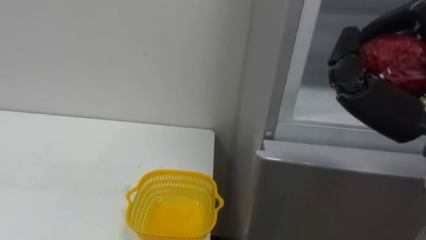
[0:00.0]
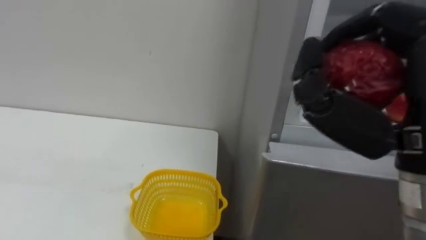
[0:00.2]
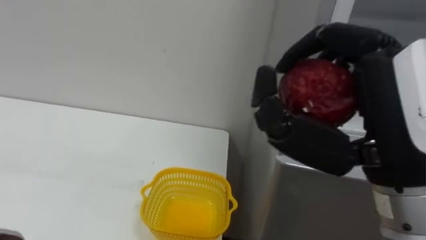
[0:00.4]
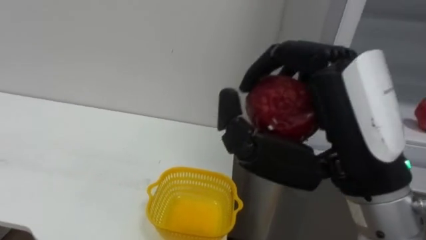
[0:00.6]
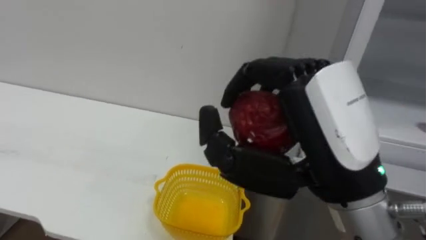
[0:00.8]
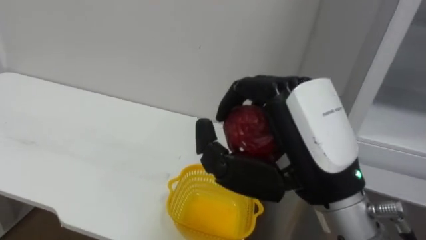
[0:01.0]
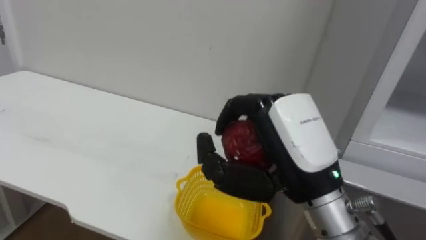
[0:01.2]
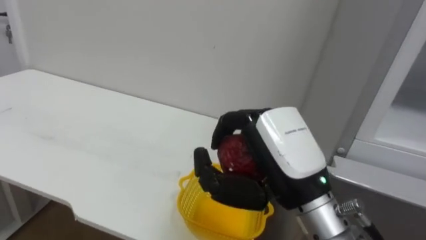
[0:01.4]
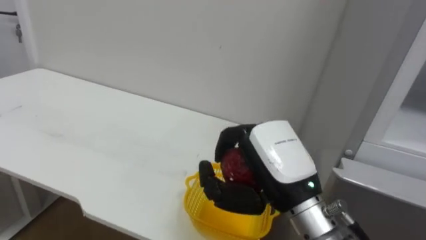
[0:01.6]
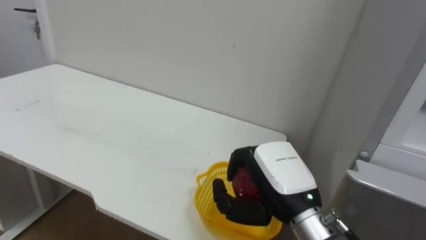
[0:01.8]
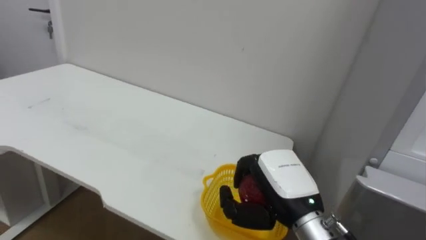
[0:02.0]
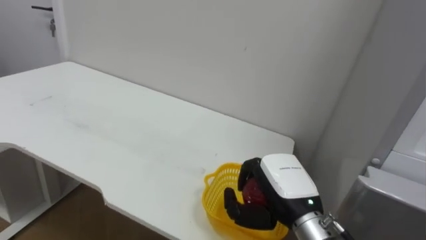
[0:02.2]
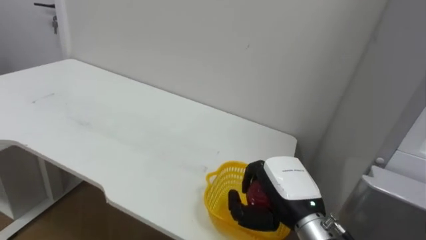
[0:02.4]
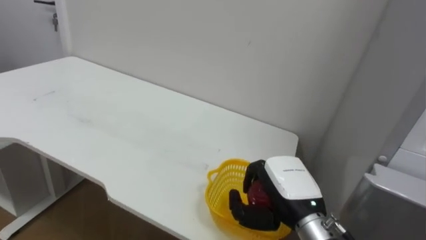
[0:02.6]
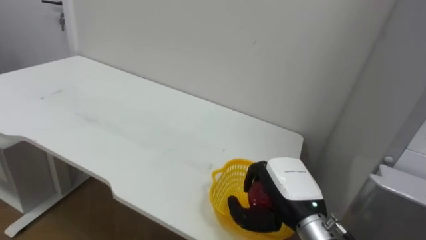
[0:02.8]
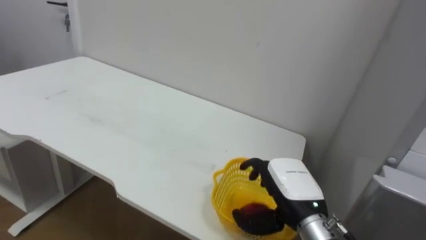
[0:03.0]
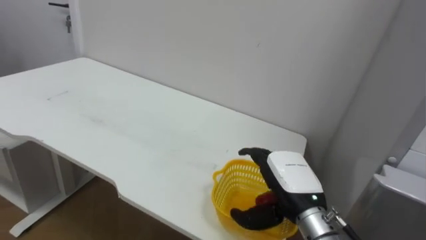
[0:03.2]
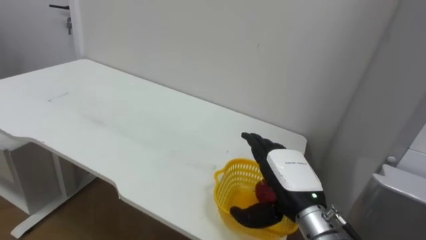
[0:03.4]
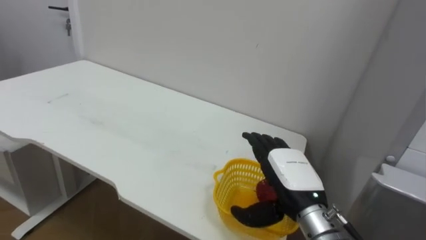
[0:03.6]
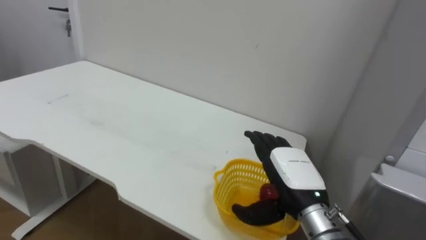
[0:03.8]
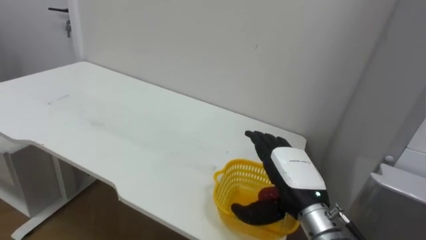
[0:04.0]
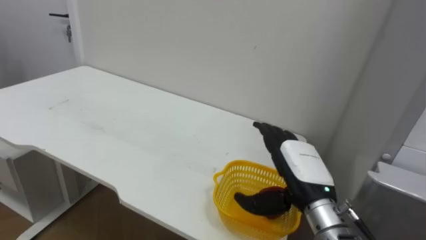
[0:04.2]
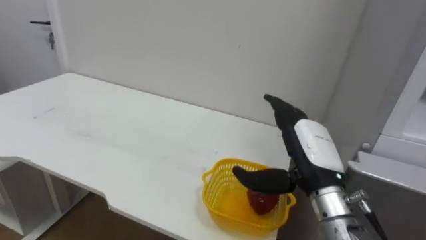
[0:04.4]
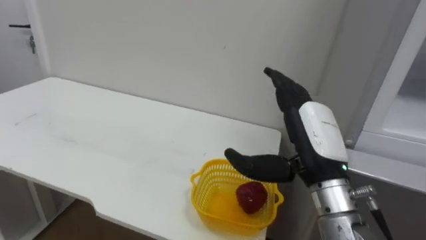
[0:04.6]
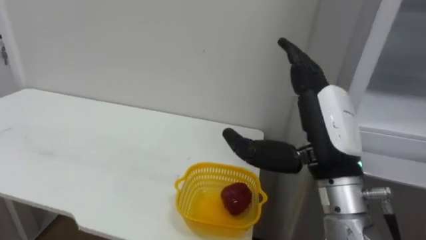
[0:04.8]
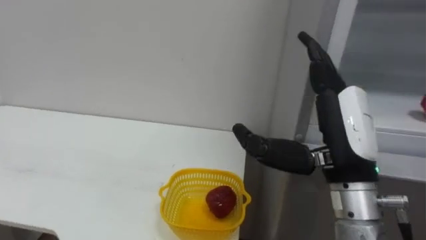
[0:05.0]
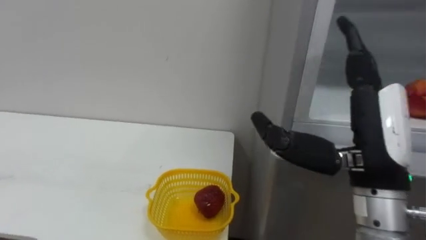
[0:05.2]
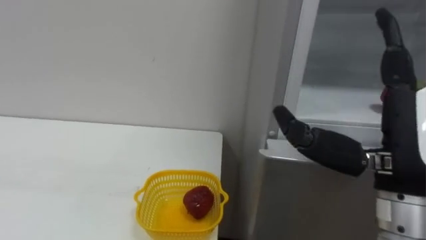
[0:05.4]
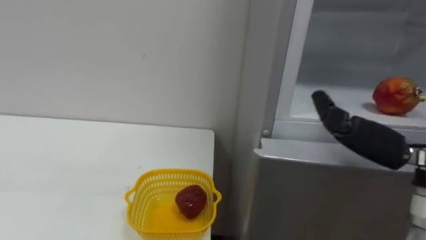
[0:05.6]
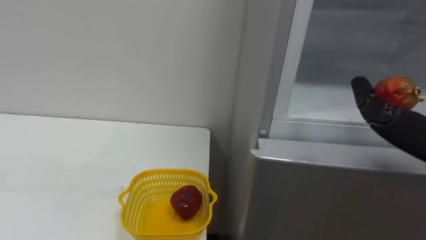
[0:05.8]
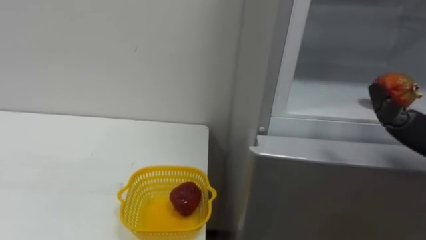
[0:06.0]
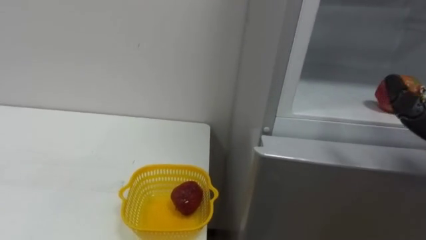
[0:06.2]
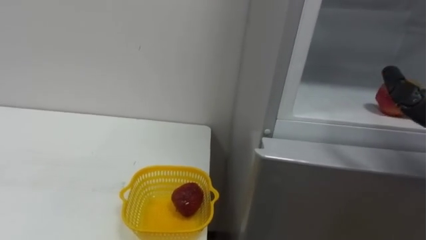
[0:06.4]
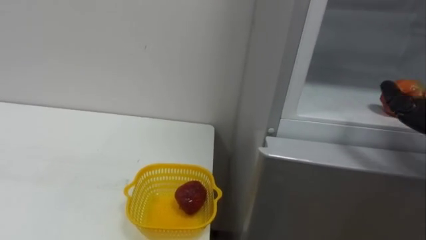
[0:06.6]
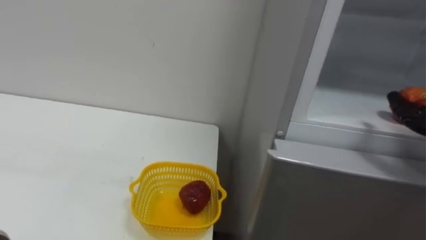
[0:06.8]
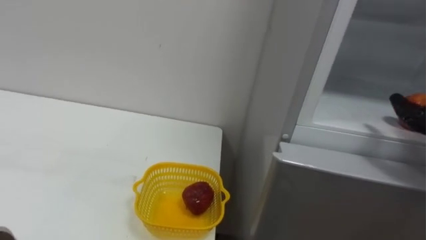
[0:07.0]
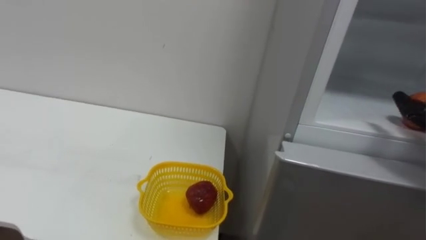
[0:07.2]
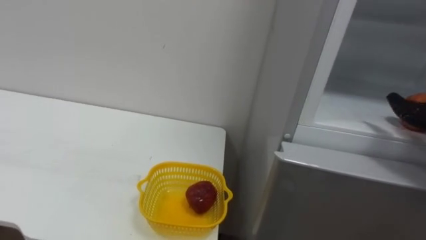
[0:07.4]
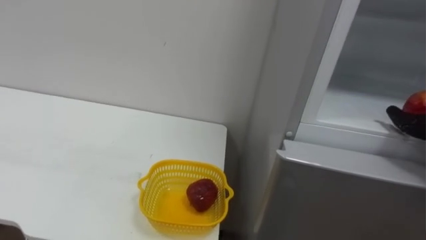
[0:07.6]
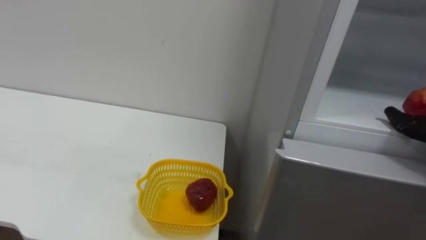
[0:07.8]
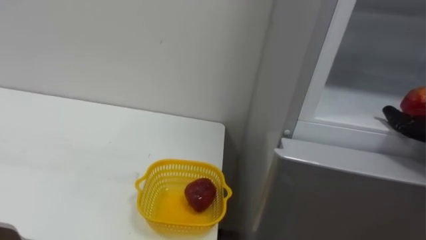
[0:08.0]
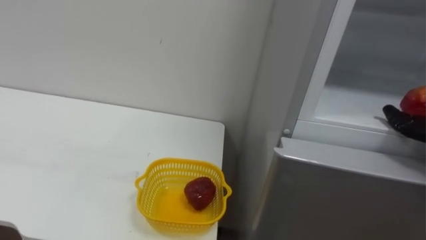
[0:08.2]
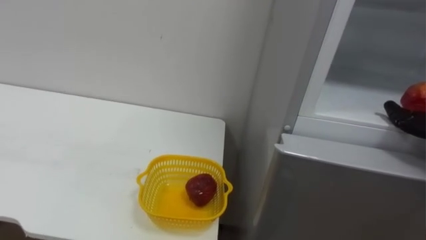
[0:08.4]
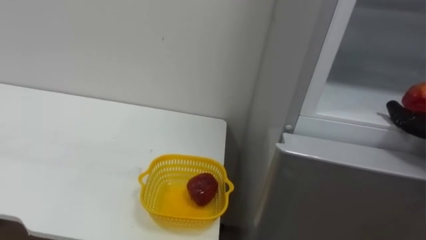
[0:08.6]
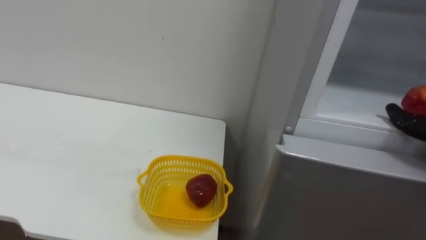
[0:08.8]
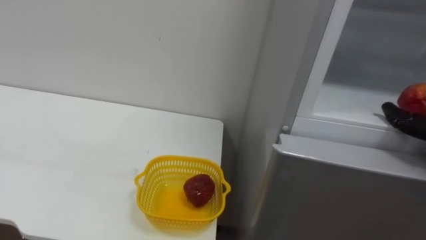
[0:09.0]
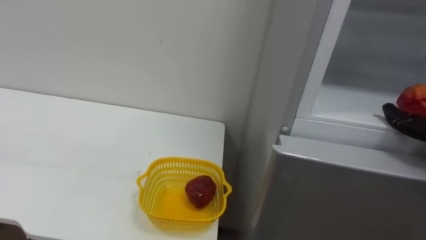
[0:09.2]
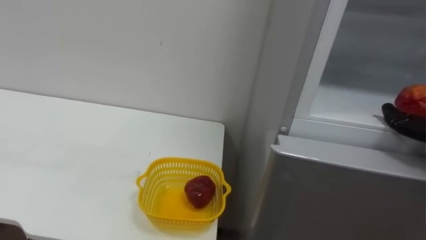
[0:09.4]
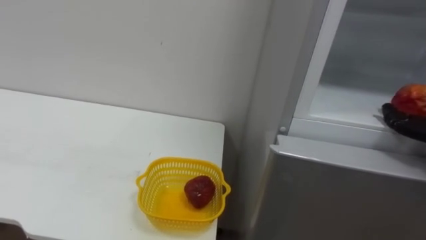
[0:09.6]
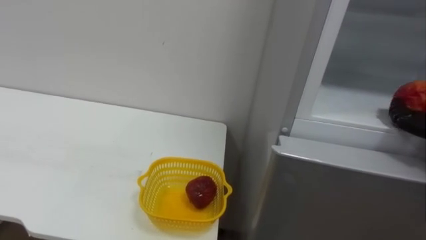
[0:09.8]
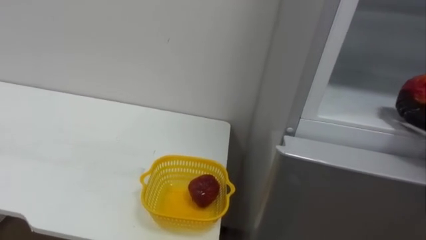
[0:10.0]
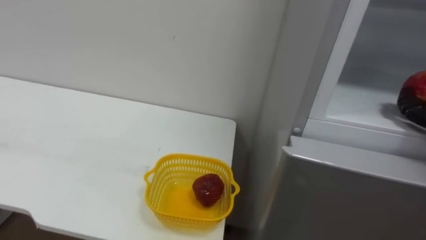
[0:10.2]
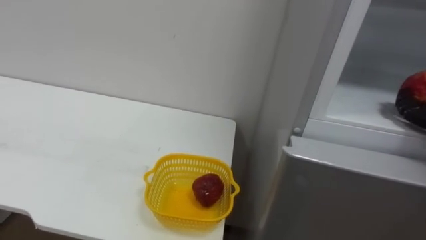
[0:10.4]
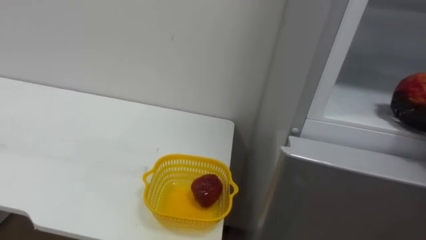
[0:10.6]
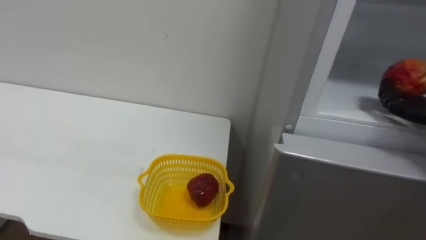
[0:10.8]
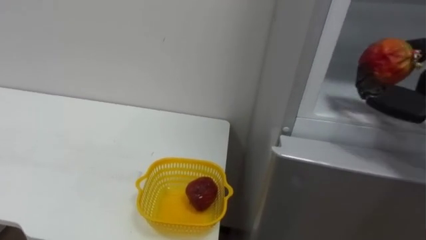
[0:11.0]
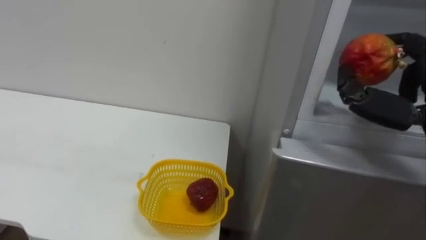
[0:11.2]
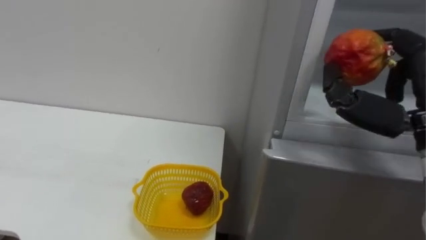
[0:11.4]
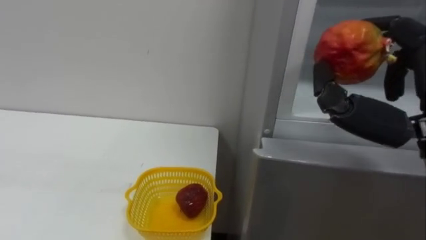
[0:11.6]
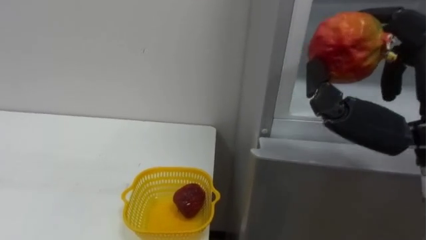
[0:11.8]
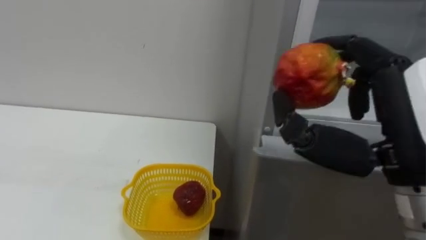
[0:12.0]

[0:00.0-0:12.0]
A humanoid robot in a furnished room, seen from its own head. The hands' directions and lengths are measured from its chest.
Task of the whole recording: Open the refrigerator door, take out the apple and the pomegranate, place them in the fruit basket on the left, and close the refrigerator door.
0:01.6 to 0:03.0: The right hand is displaced downward by roughly 10 cm, and opens up.
0:03.0 to 0:04.4: The right hand travels upward by roughly 5 cm, and opens its fingers.

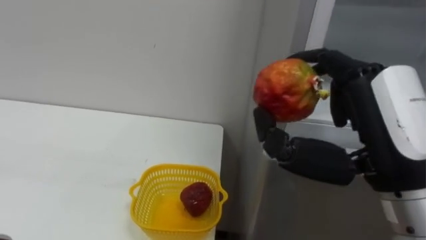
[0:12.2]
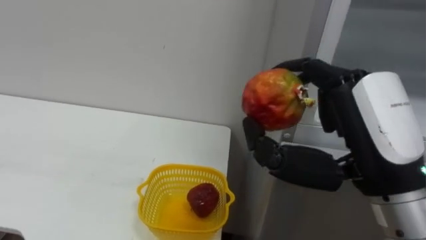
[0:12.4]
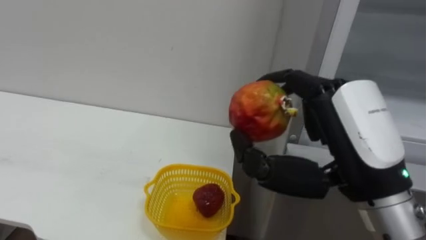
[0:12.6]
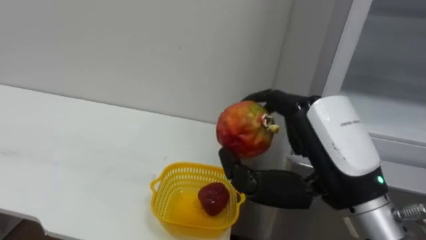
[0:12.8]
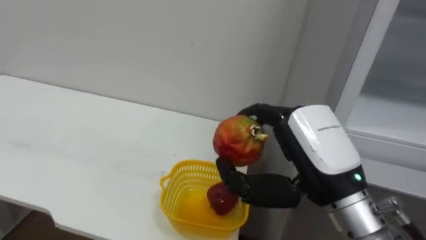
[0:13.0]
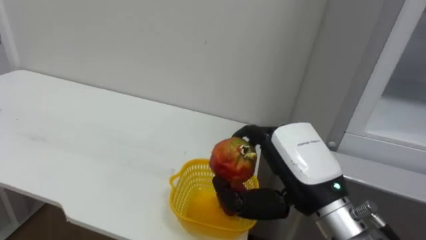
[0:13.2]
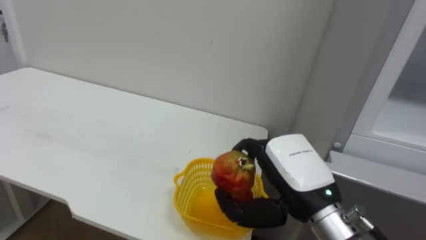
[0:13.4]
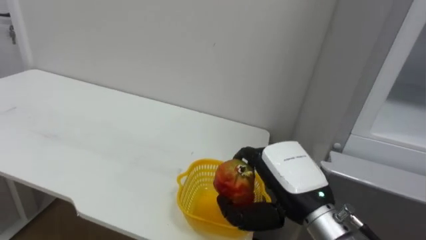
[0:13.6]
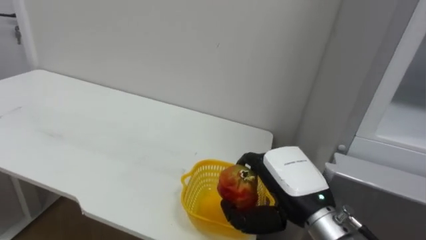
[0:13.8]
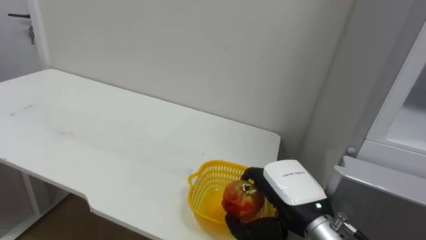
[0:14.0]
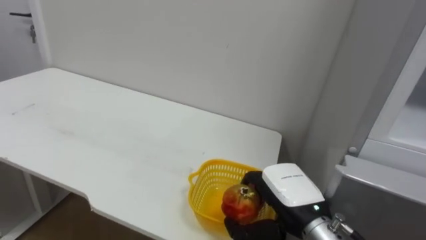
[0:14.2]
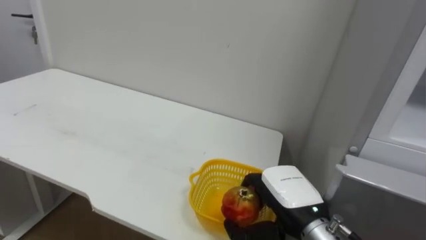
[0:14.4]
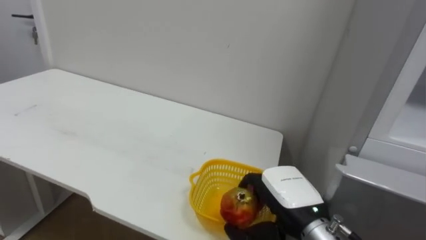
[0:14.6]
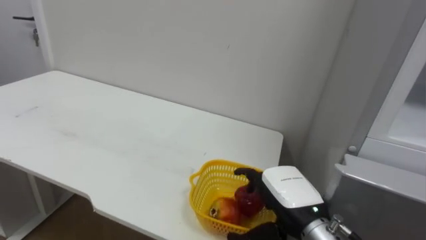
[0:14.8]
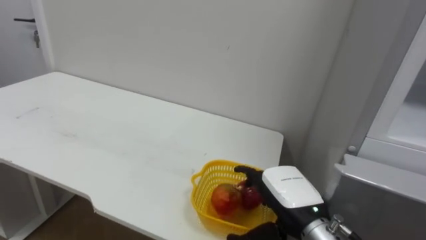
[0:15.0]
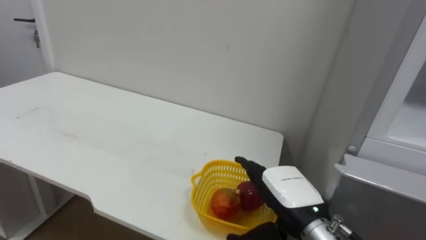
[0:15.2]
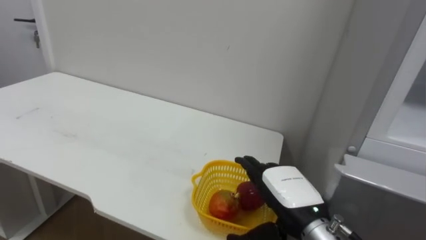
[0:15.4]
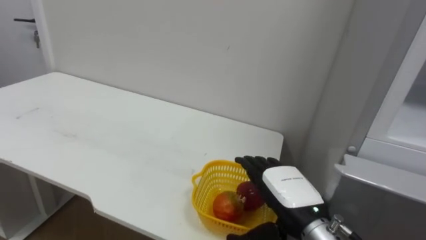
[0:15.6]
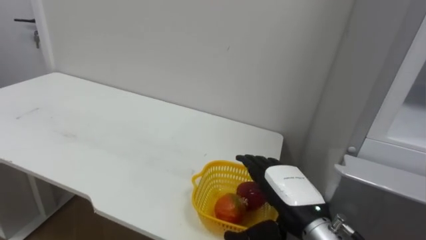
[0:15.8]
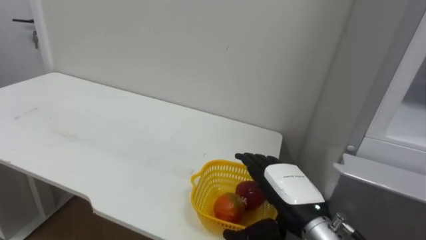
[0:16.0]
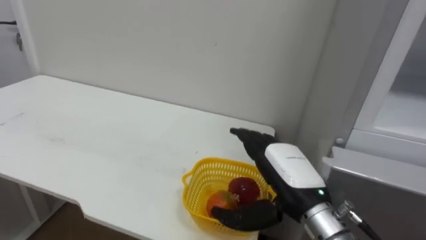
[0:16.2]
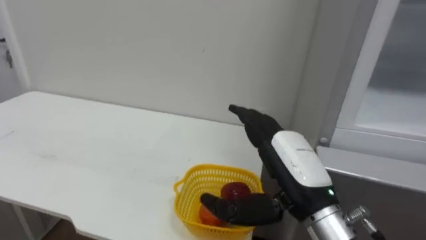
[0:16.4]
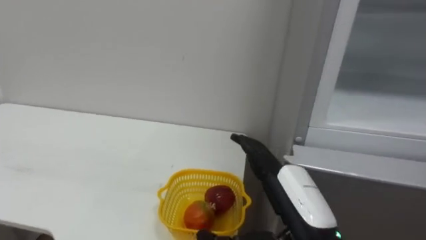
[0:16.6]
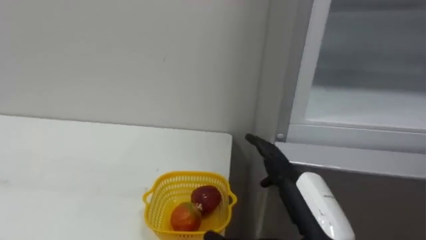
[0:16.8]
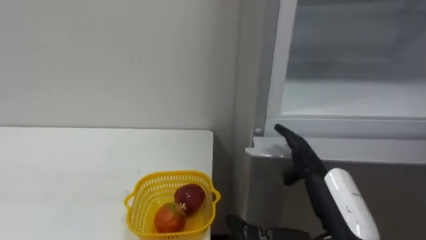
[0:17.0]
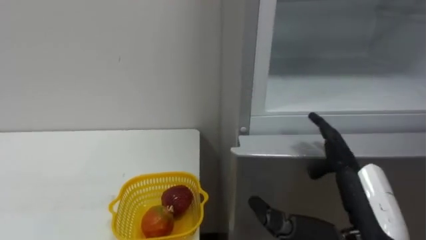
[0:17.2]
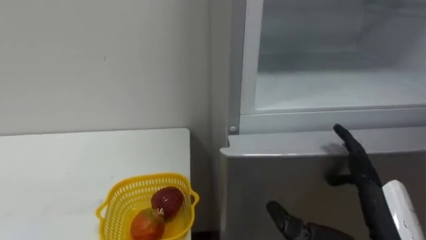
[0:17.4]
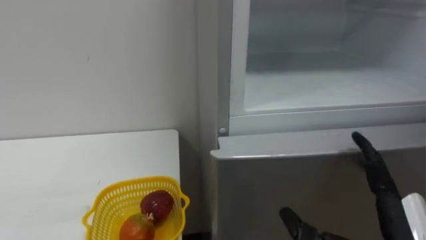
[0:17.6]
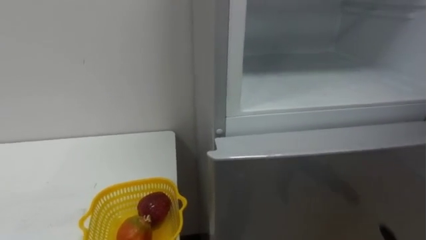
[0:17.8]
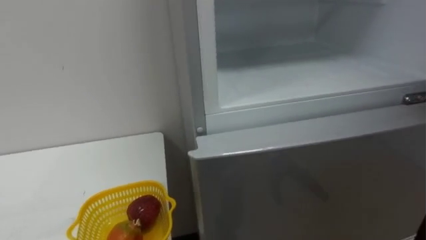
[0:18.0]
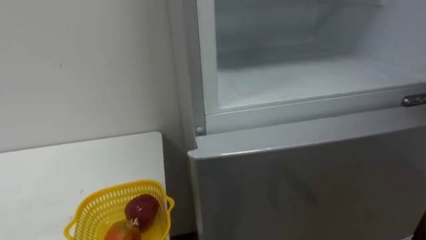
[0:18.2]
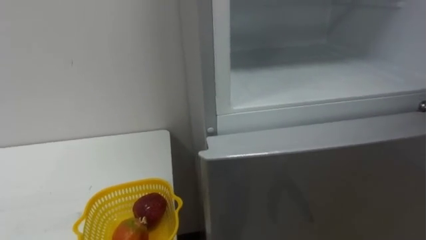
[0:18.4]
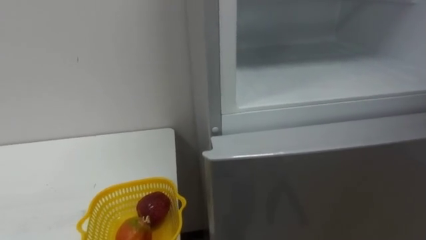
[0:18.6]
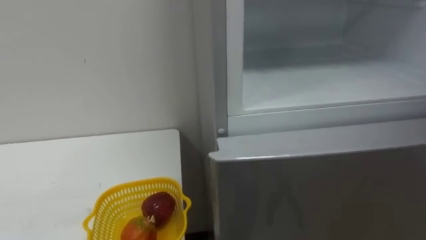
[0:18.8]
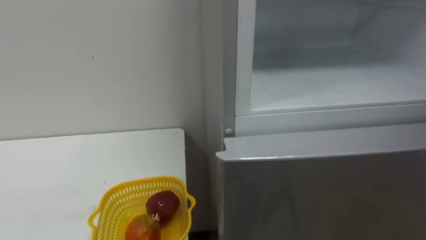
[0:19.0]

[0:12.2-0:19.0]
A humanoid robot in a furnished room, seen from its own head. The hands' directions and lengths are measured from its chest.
Task of the whole recording: Open the refrigerator door, take out the apple and the pomegranate, place them in the fruit basket on the left, and close the refrigerator door.
0:12.2 to 0:13.6: The right hand shifts about 15 cm downward, forward and to the left.
0:13.6 to 0:15.0: The right hand travels downward by approximately 5 cm, and opens.
0:16.2 to 0:17.6: The right hand goes about 15 cm to the right and backward.
